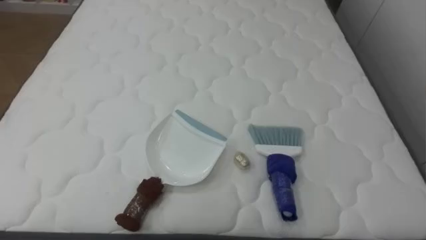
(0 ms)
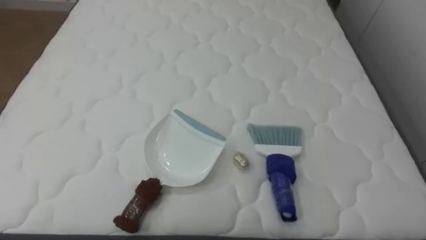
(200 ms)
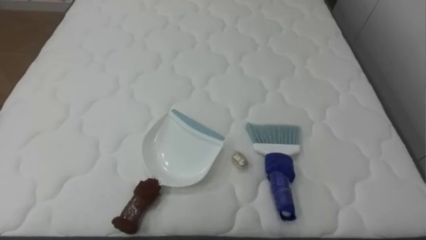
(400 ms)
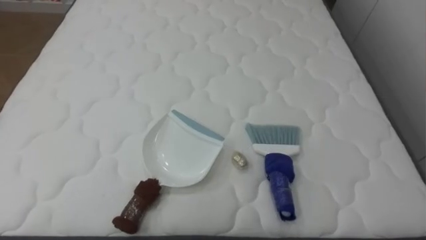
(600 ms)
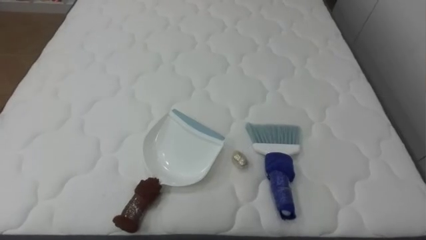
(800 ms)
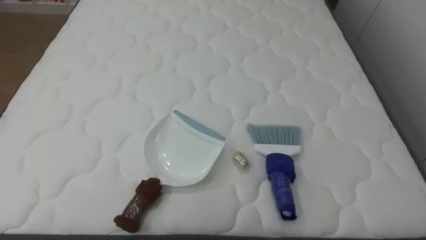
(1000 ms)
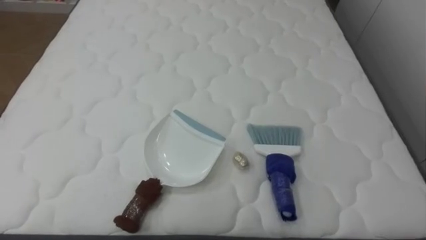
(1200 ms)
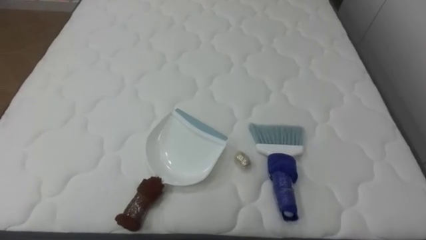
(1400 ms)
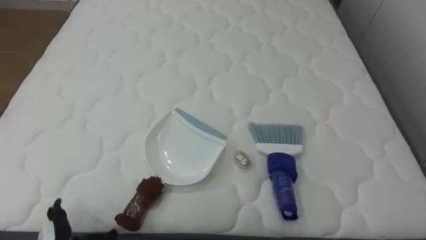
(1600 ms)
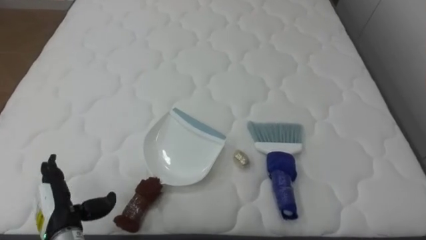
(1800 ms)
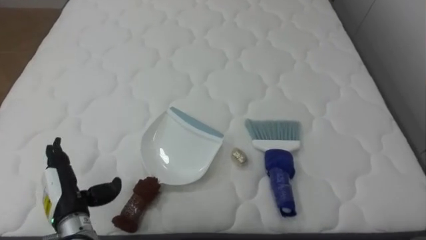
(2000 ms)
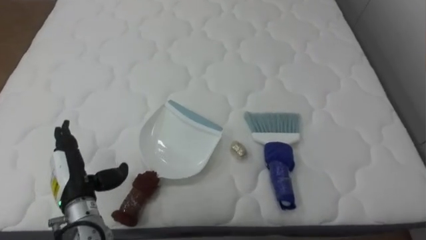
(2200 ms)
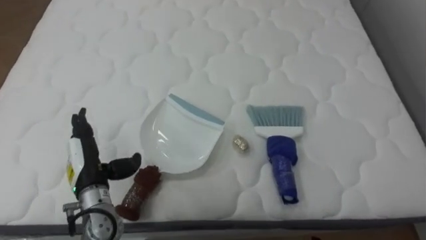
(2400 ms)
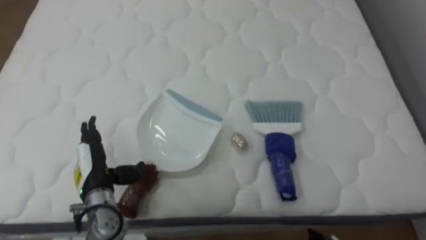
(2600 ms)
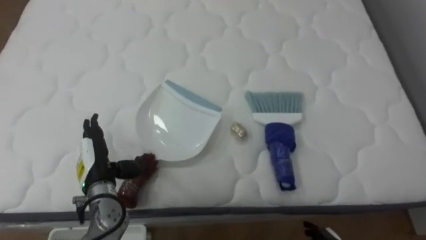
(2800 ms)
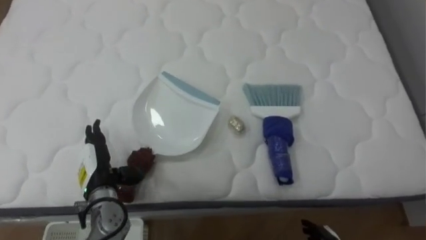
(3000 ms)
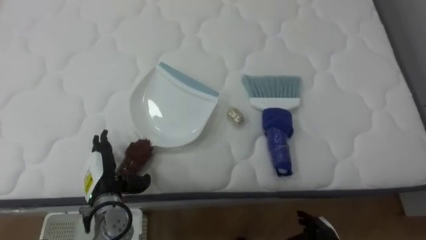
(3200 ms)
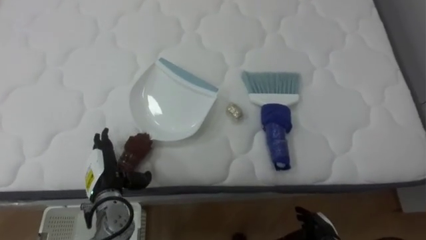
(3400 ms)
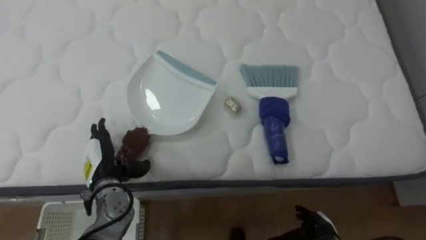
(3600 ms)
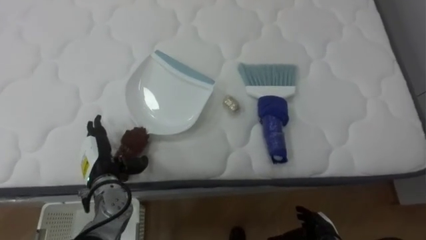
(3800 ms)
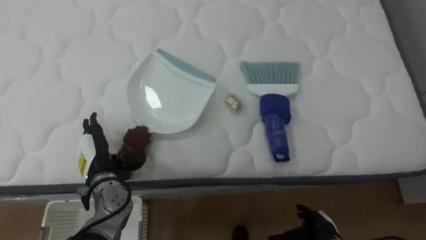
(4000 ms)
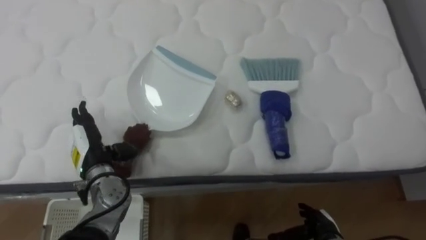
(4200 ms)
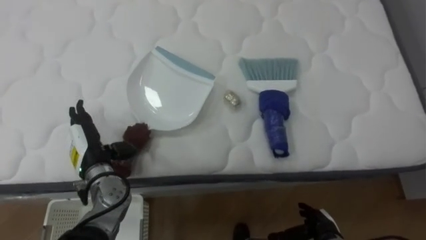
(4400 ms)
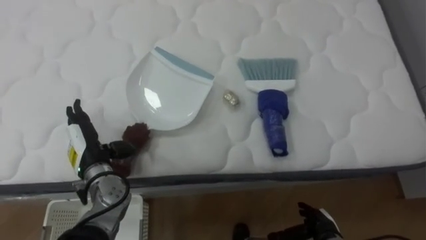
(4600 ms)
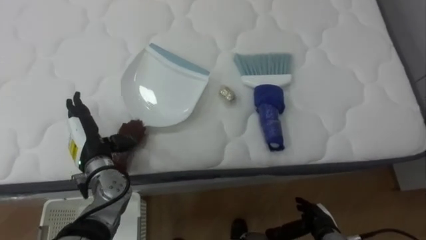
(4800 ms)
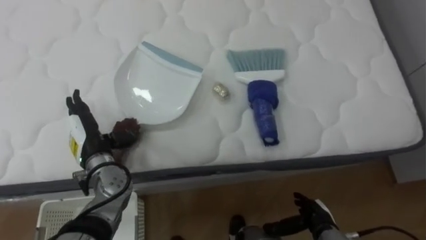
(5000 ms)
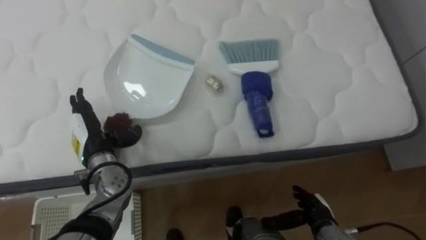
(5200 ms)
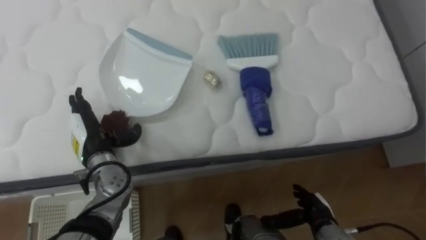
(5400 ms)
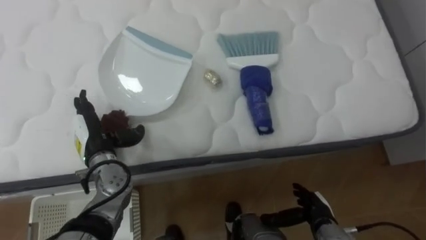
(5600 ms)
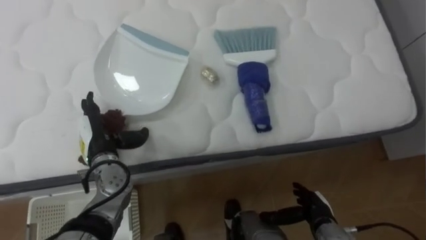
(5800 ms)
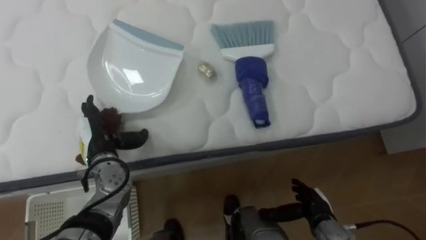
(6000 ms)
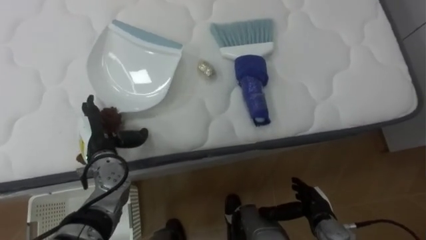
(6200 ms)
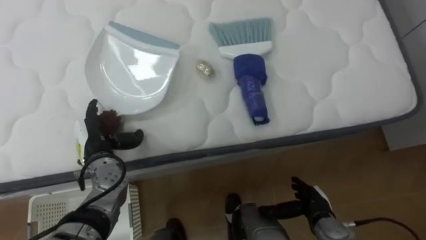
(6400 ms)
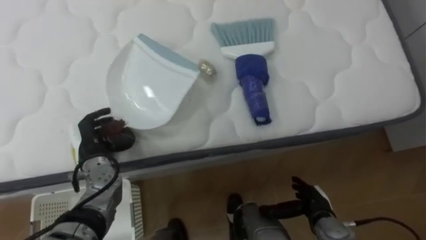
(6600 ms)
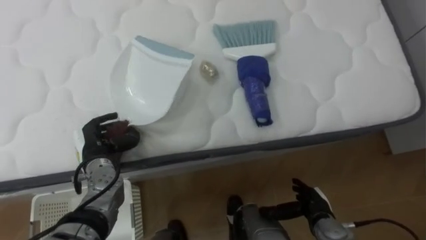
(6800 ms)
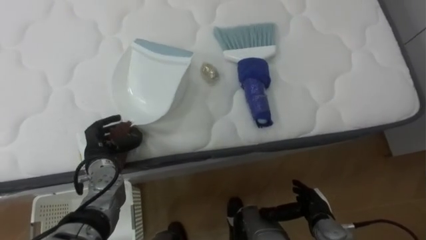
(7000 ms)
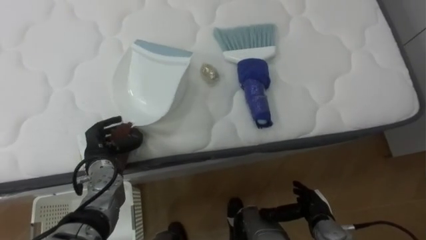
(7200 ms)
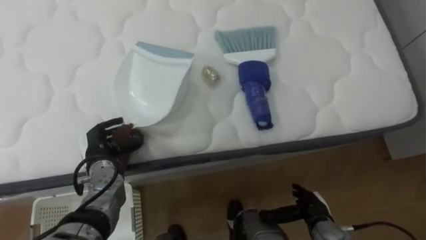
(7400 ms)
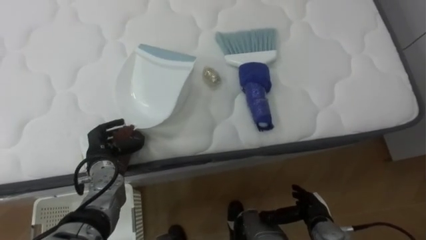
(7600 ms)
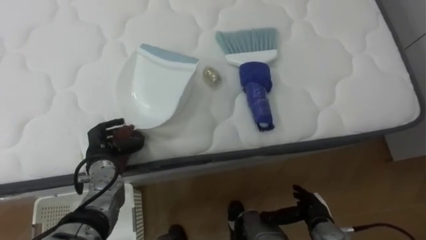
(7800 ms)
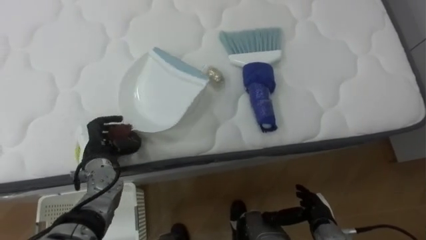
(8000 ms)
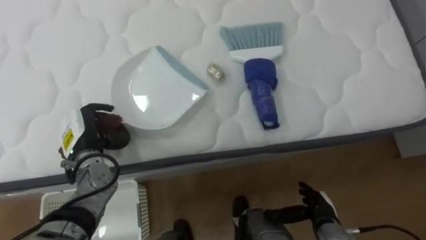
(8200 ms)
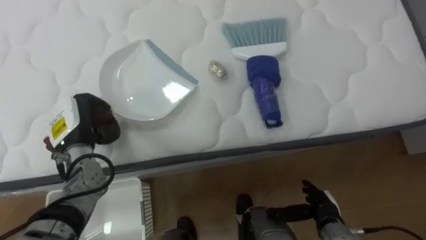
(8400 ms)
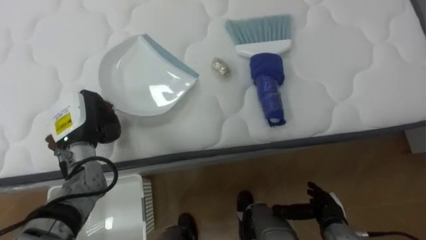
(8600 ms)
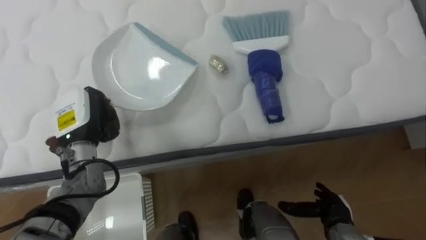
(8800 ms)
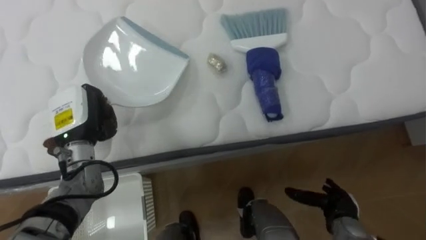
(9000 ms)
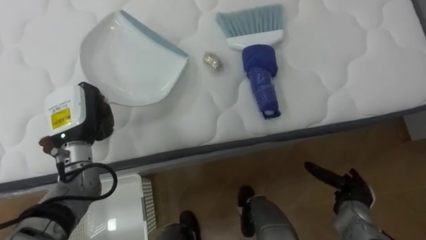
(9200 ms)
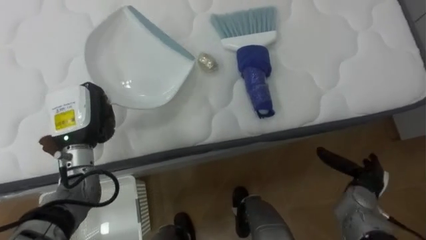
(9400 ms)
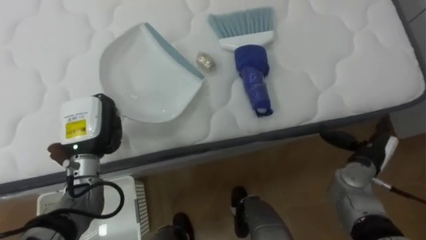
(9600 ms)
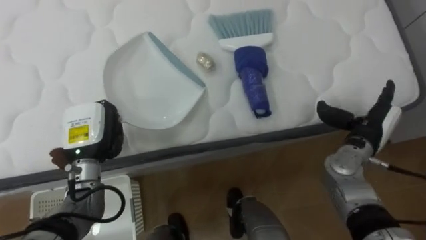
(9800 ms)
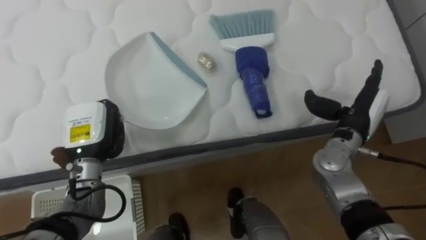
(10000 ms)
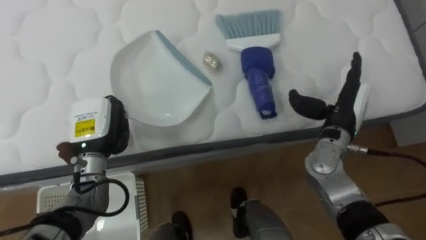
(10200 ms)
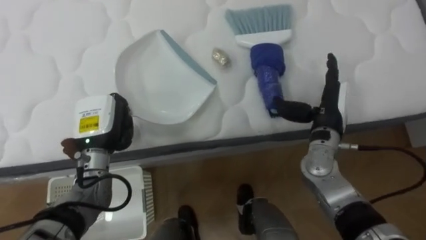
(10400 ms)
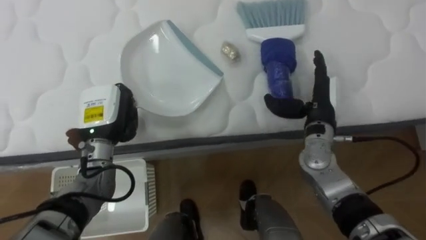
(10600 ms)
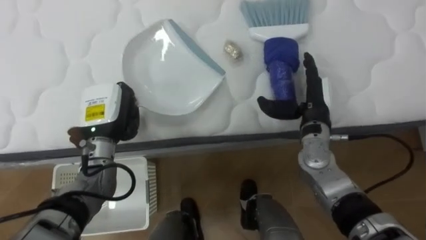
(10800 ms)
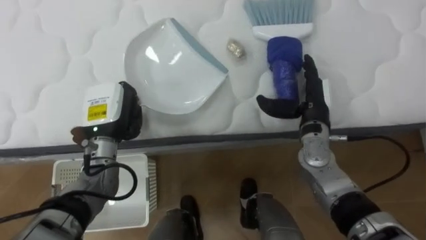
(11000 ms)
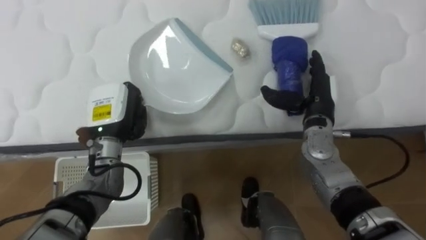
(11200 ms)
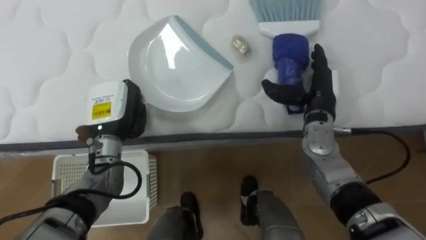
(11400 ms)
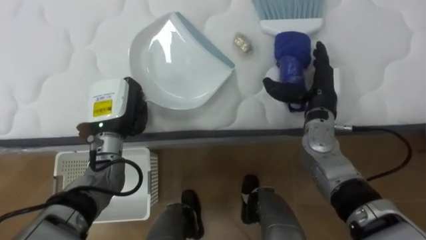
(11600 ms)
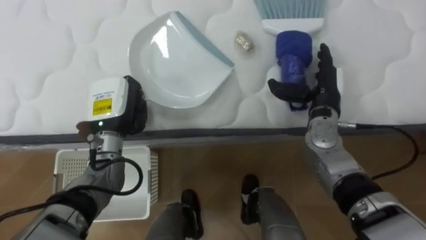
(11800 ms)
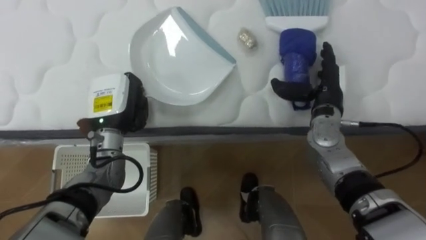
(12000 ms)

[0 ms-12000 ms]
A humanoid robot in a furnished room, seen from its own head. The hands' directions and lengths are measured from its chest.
Task of the whole recording: Pick up the brush on your right and the dustpan on your left. Use the brush to sweep the crumpled paper on the bed into the dustpan, then turn left and empty it into the basket.
6000 ms to 7600 ms: The left hand closes up.
7600 ms to 9000 ms: The left hand heads upward, covering approximately 10 cm; the right hand heads to the right, covering about 5 cm.
9000 ms to 10400 ms: The right hand heads upward and forward, covering approximately 25 cm.
10400 ms to 12000 ms: The left hand changes place by approximately 5 cm.

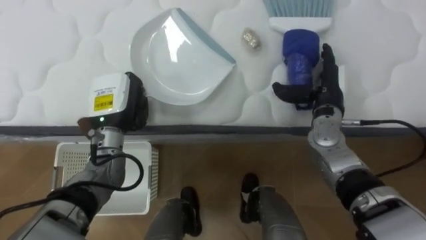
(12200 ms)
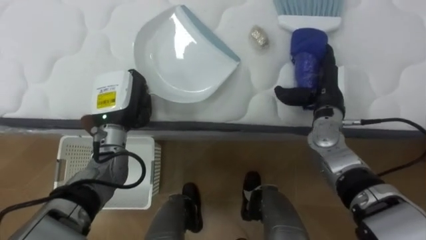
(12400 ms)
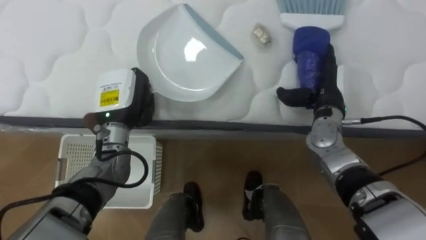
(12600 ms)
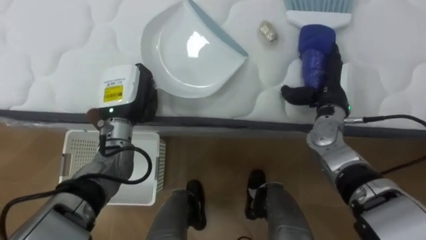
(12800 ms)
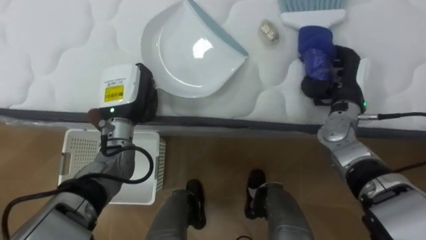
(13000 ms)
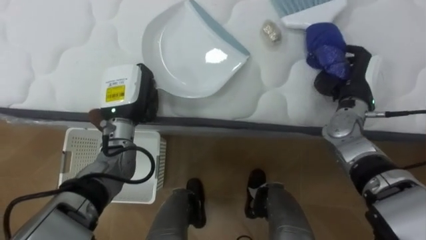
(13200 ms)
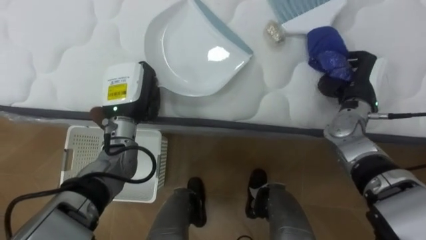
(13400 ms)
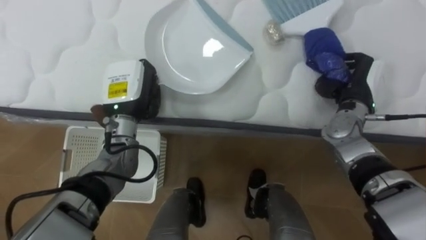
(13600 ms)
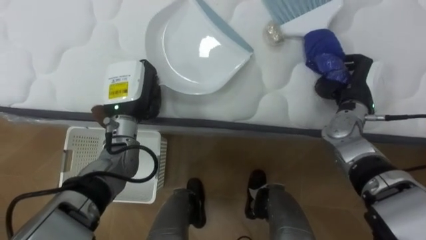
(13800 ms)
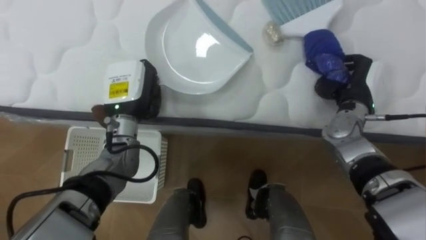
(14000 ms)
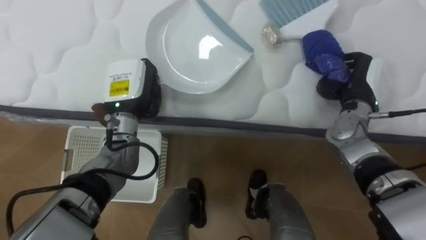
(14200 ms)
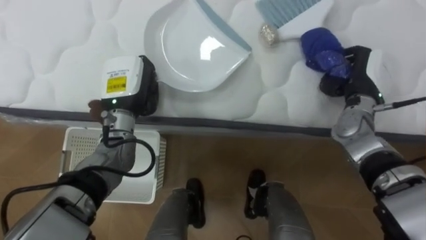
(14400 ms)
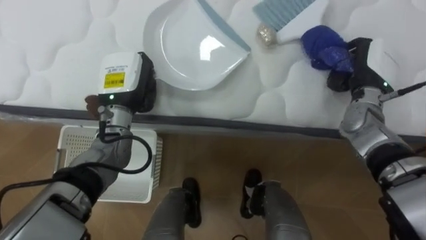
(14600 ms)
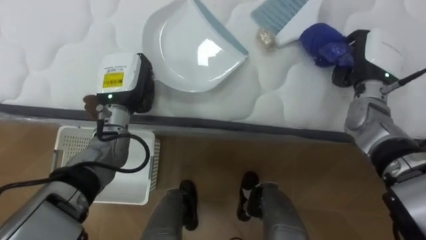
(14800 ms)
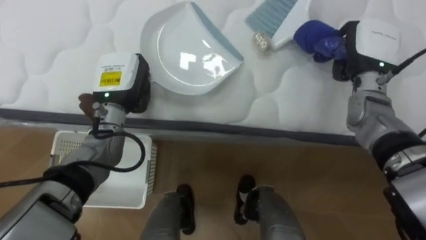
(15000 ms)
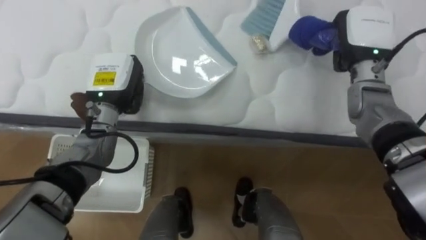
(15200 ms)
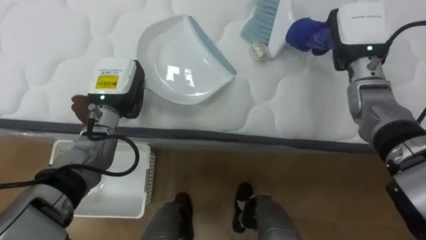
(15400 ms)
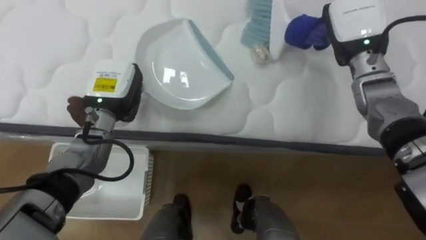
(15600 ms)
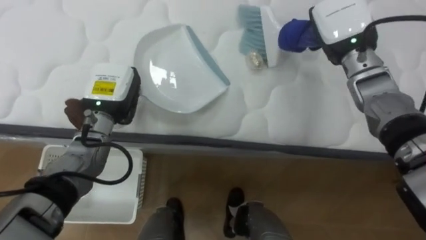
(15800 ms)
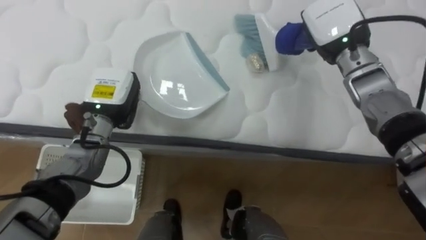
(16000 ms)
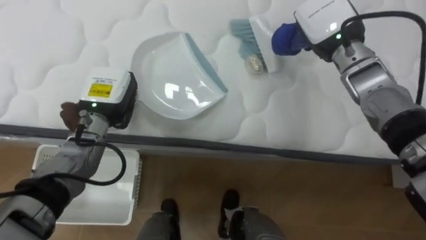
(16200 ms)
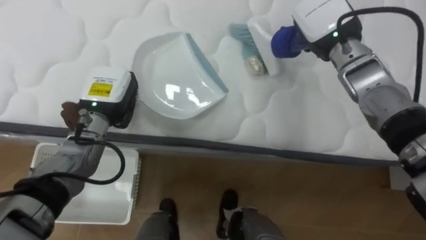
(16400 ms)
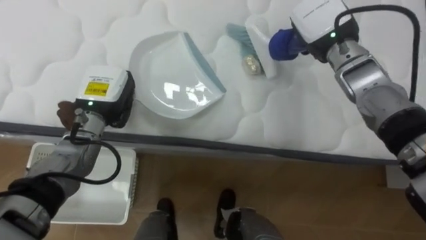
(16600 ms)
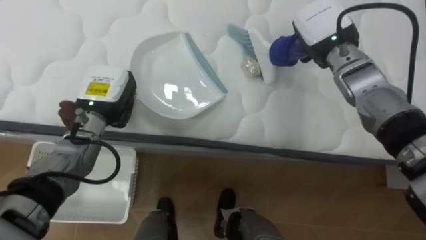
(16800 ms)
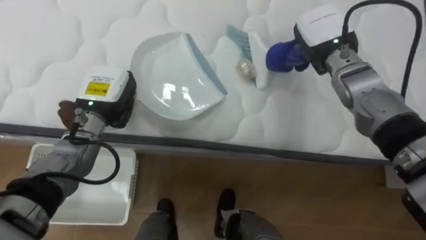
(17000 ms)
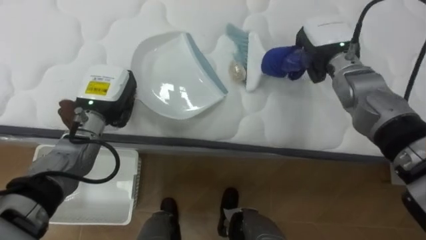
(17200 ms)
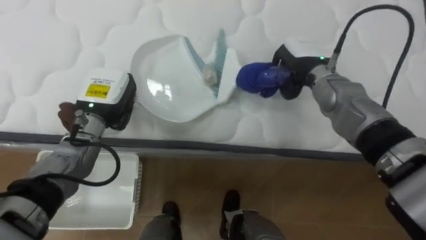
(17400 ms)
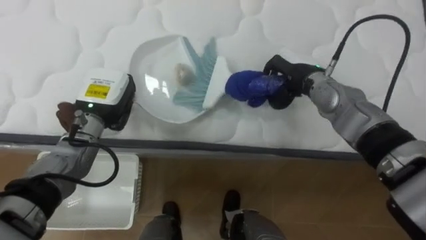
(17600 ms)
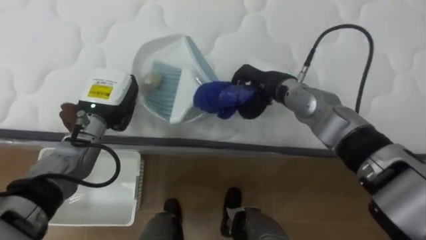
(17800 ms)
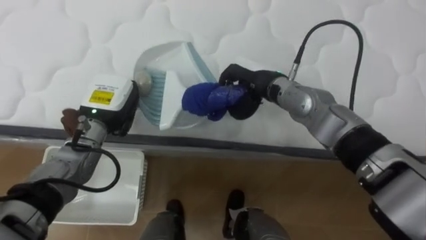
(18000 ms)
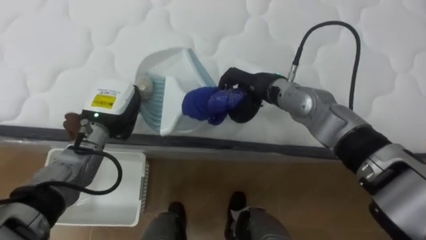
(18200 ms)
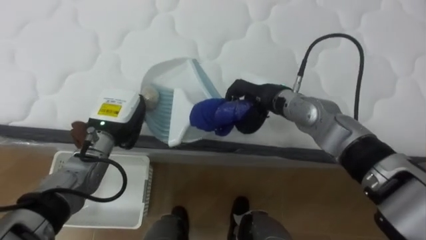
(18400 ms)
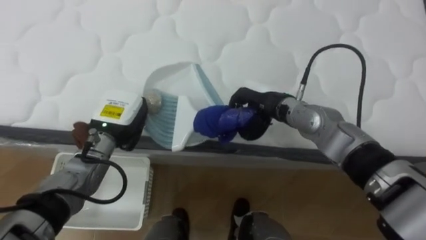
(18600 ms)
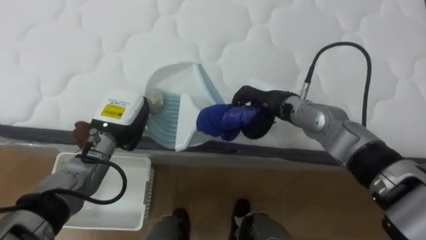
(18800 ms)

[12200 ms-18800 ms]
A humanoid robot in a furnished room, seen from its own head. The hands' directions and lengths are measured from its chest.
Task of the whole recording: Pick up the brush on your right and the dustpan on your left. Use the brush to sweep the crumpled paper on the bed into the dustpan, then turn left and empty it into the basket.
12200 ms to 13800 ms: The right hand is displaced to the right by about 5 cm, and closes.
13800 ms to 15400 ms: The right hand travels upward by some 10 cm.
15400 ms to 17200 ms: The right hand shifts by roughly 5 cm.
17200 ms to 18800 ms: The left hand ends up some 5 cm from where it was. The right hand goes some 15 cm to the left, downward and backward.
